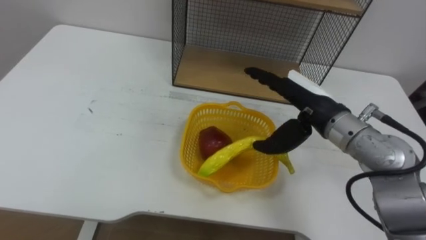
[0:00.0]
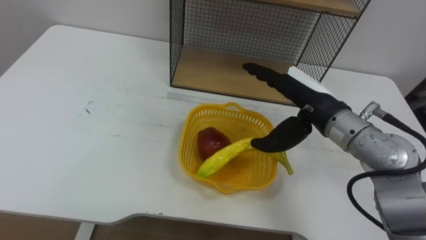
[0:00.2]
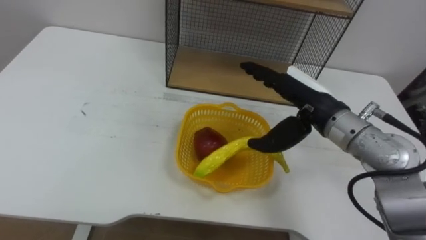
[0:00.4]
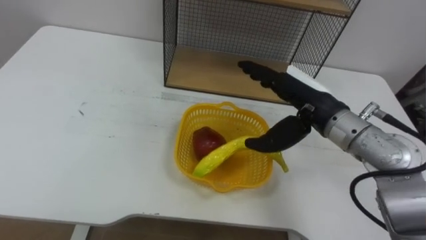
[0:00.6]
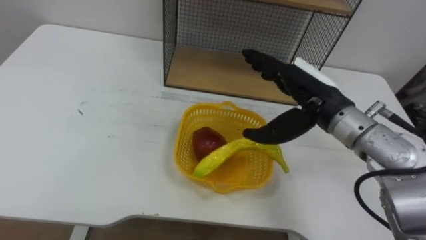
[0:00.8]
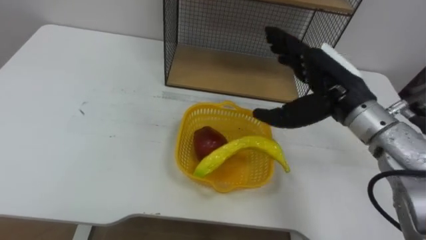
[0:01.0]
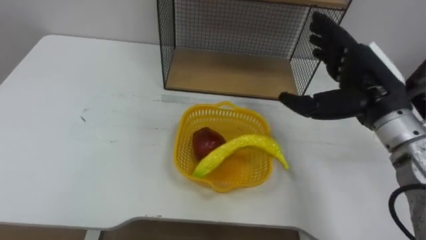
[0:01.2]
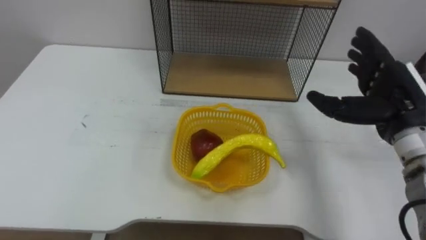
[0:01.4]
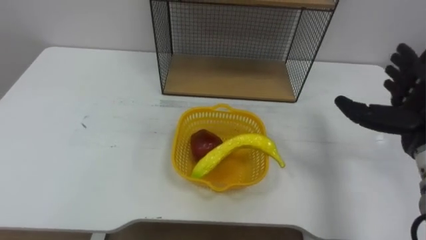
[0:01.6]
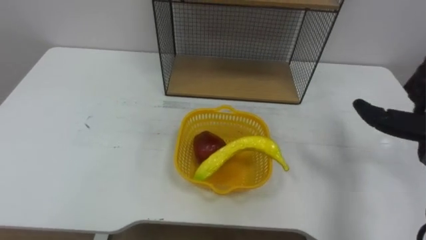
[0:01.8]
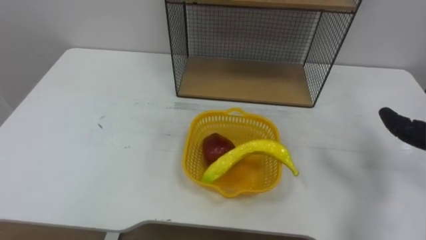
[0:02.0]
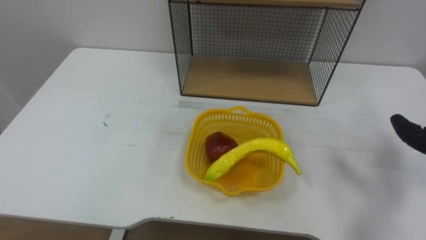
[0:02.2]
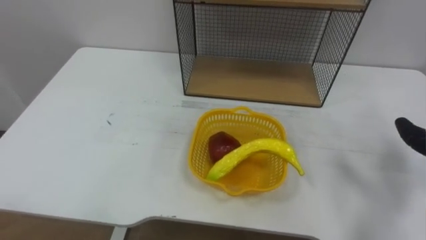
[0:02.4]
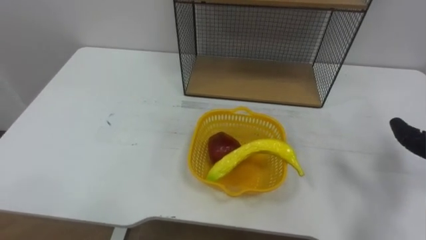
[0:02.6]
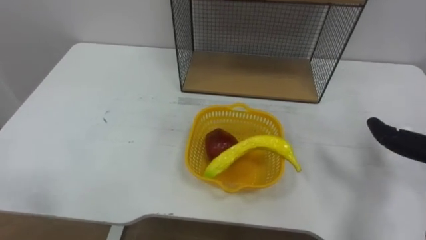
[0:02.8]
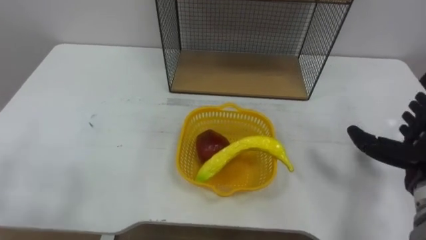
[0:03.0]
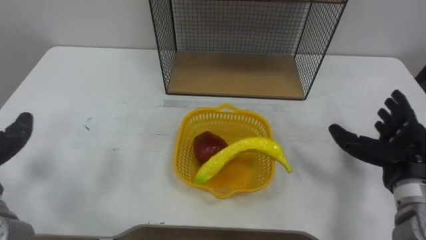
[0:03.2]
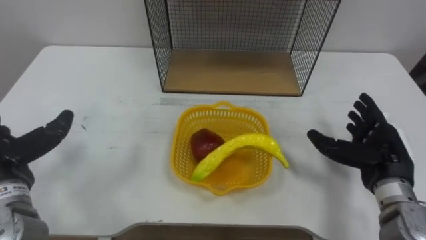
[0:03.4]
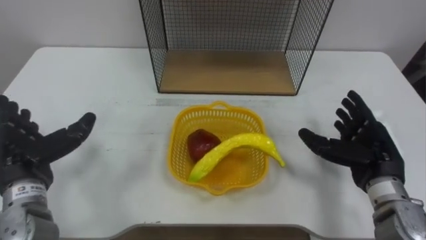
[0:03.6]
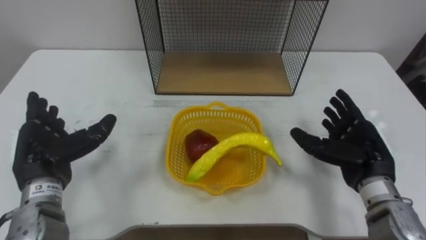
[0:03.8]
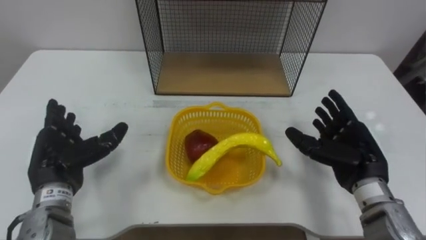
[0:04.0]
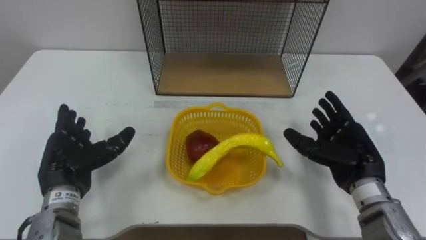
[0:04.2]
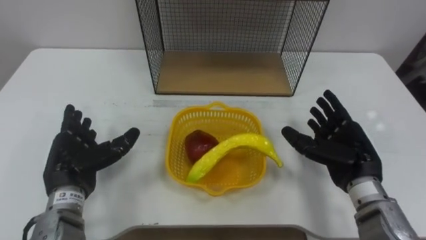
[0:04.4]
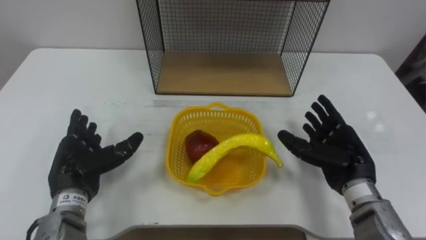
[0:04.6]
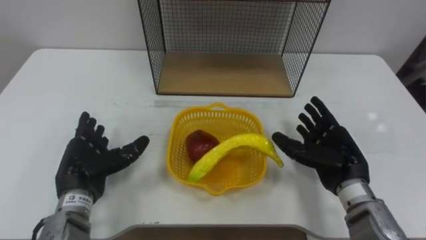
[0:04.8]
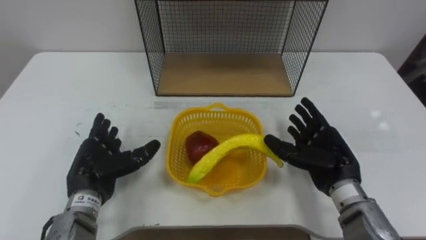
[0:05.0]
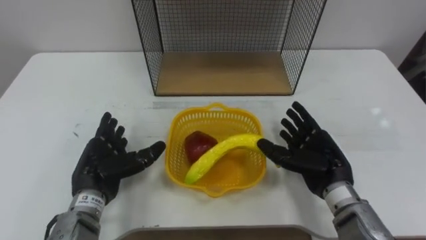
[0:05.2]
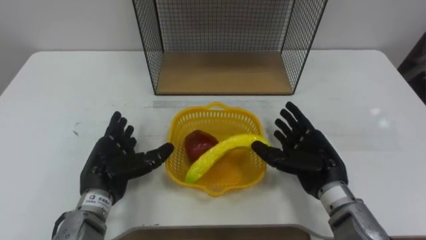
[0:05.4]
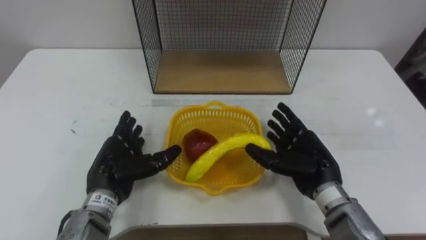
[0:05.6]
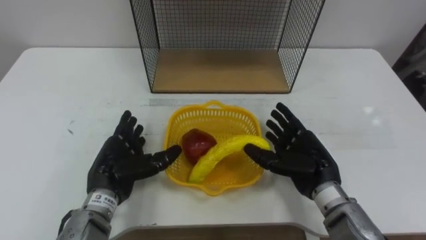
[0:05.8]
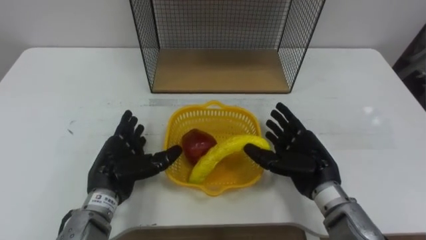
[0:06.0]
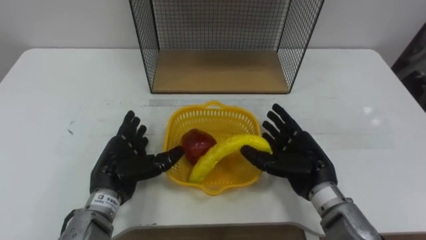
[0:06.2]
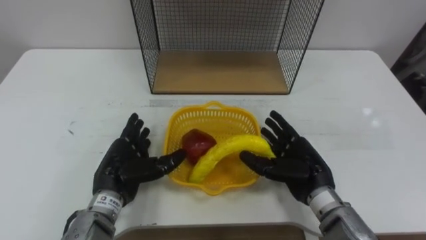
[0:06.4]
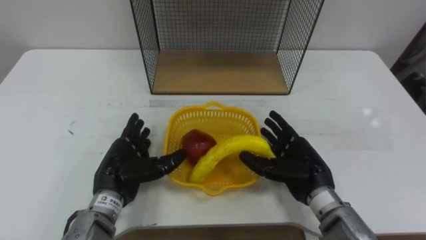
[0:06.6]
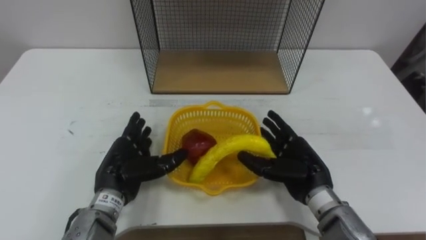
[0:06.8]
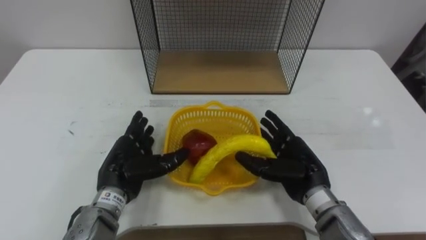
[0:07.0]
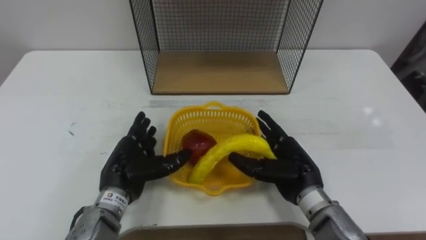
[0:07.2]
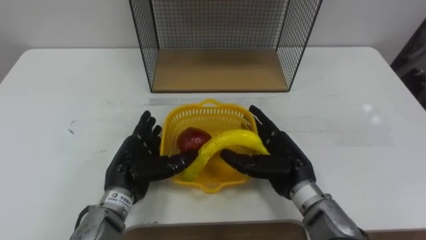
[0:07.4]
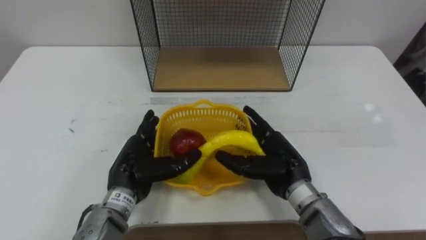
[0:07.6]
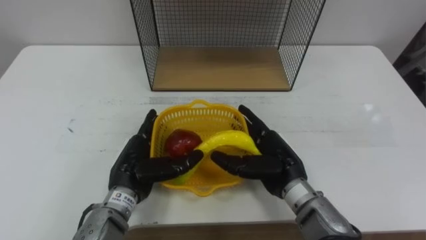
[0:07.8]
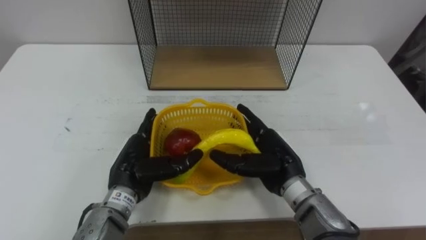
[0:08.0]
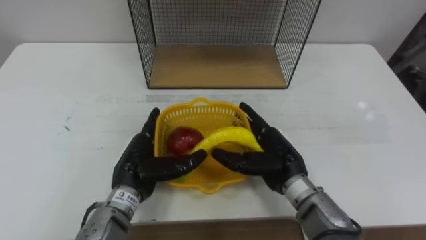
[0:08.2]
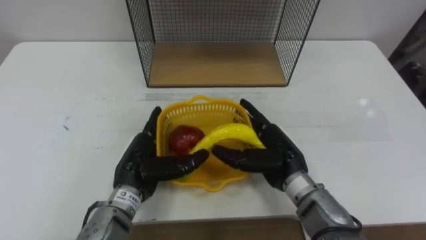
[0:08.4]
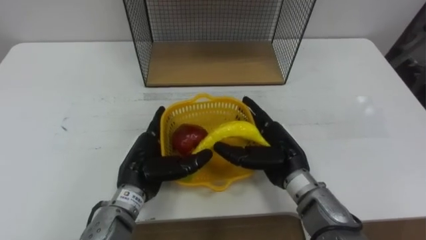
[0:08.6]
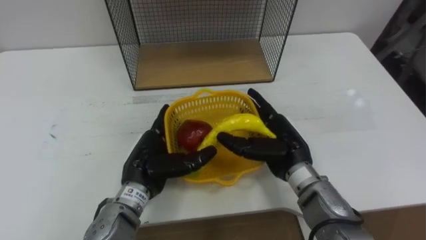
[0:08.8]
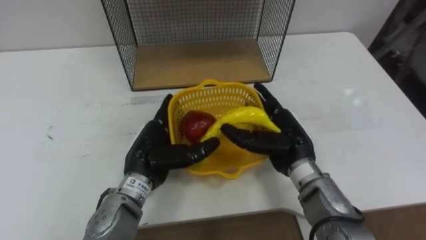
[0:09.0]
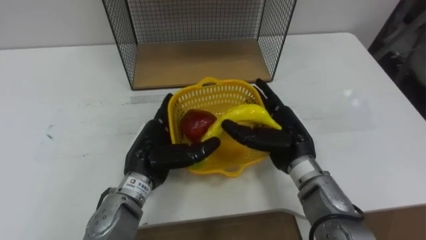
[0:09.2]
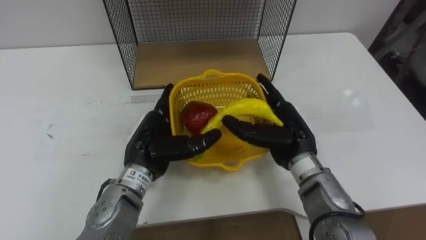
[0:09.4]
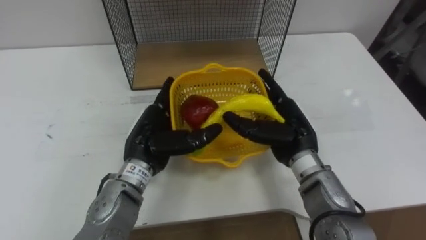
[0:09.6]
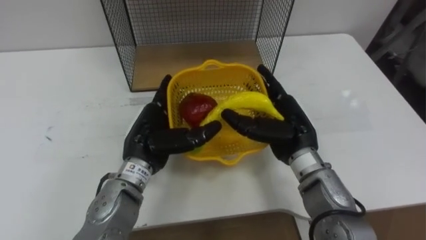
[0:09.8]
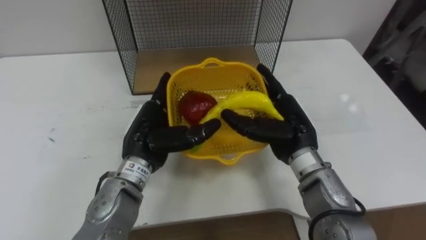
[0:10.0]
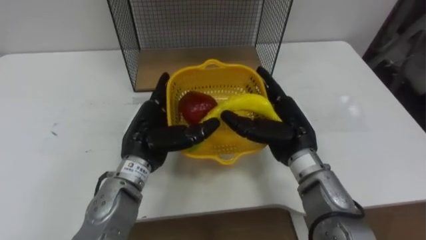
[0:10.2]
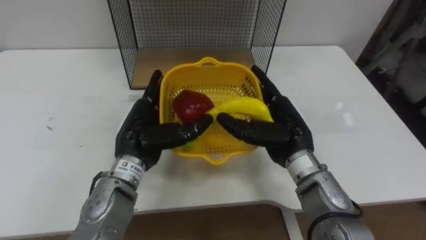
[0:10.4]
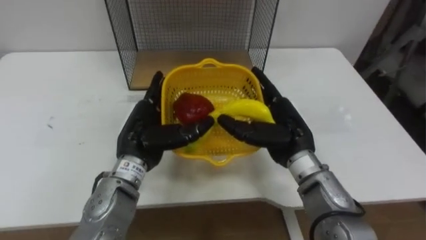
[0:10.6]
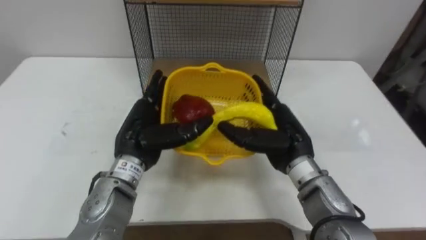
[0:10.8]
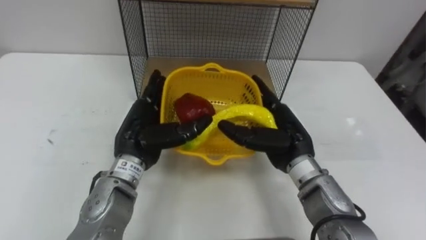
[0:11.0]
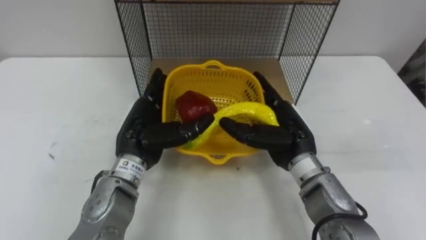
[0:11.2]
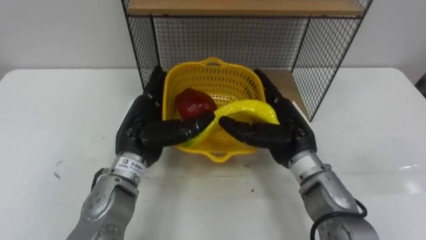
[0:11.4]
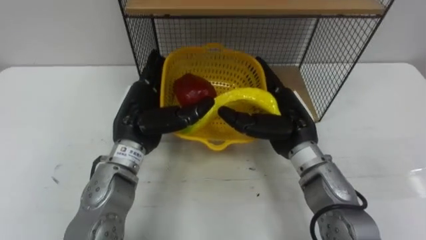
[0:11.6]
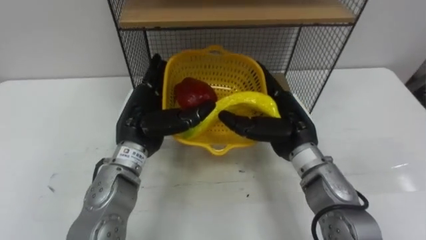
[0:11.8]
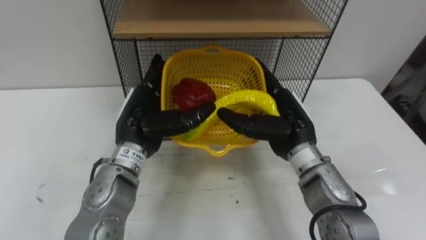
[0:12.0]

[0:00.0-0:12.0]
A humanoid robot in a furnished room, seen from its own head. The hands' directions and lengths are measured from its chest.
Task of the whole recording: Put the fruit on the table into the basket, then place the basket on the shelf.
0:00.0 to 0:01.6: The right hand is displaced to the right by some 15 cm.
0:04.4 to 0:06.0: The right hand is displaced to the left by about 5 cm. Meanwhile the left hand goes approximately 5 cm to the right.
0:06.0 to 0:07.6: The right hand goes approximately 5 cm to the left.

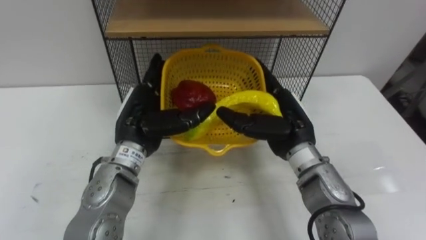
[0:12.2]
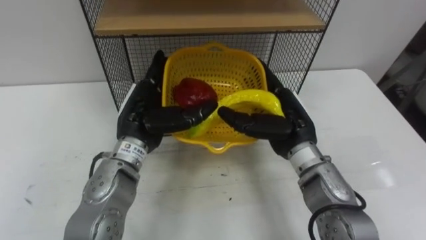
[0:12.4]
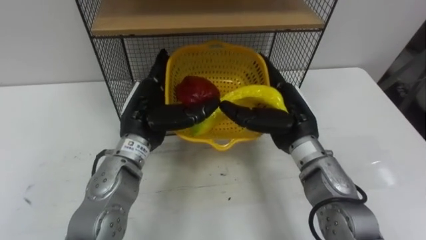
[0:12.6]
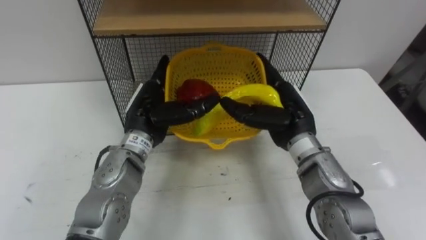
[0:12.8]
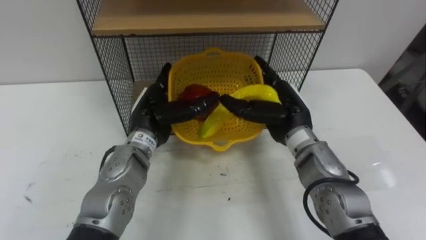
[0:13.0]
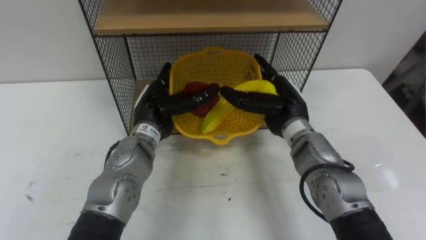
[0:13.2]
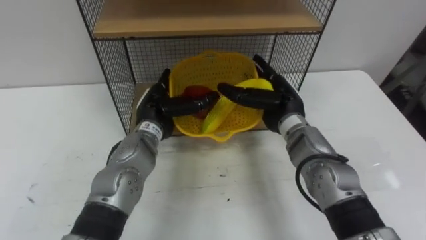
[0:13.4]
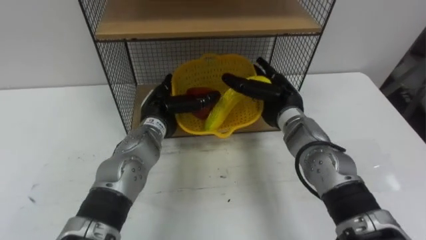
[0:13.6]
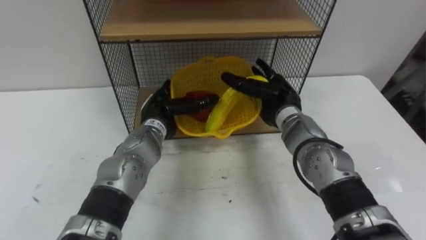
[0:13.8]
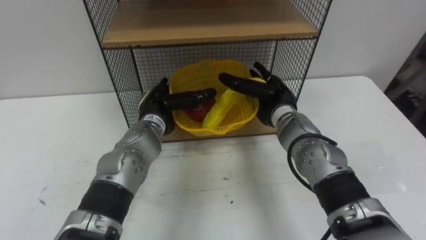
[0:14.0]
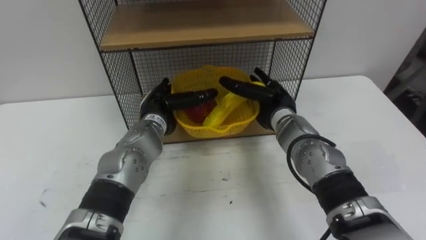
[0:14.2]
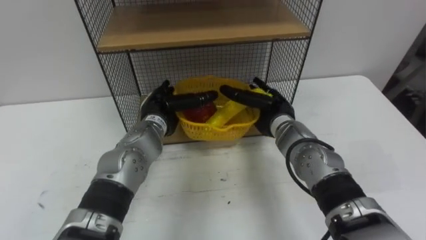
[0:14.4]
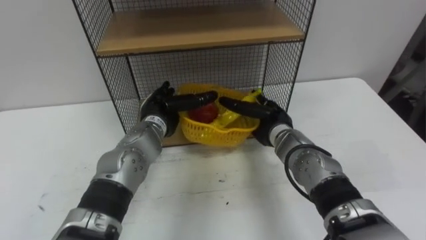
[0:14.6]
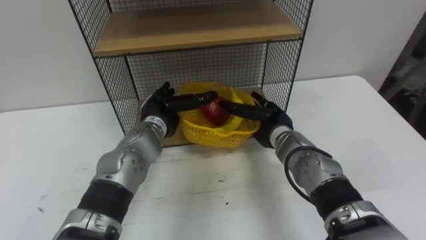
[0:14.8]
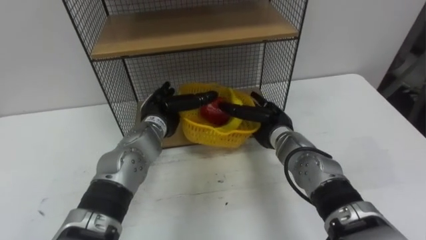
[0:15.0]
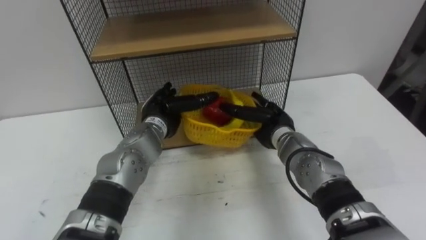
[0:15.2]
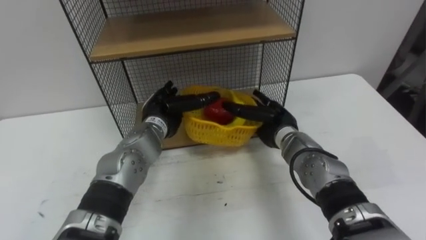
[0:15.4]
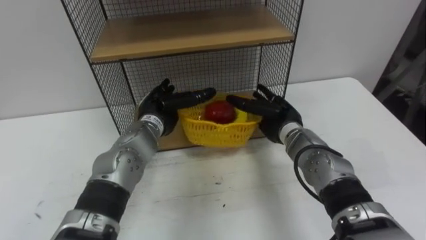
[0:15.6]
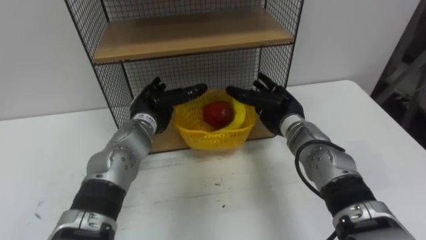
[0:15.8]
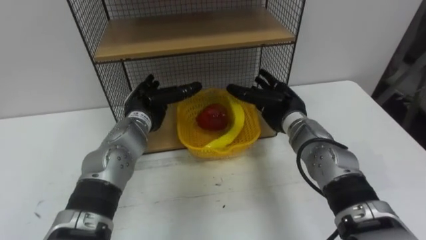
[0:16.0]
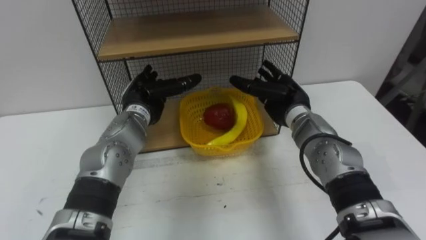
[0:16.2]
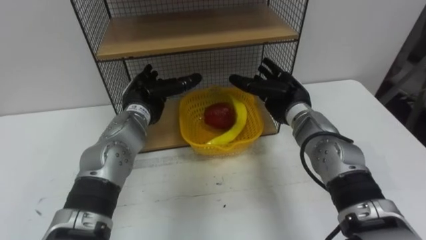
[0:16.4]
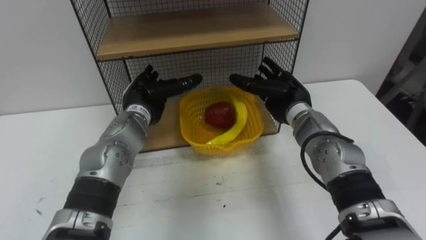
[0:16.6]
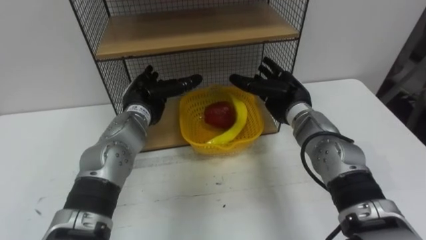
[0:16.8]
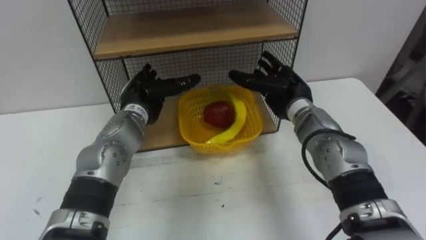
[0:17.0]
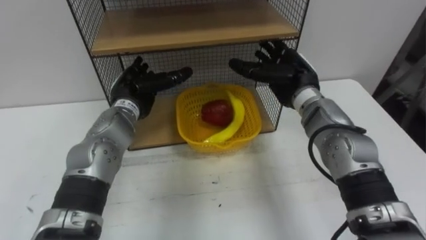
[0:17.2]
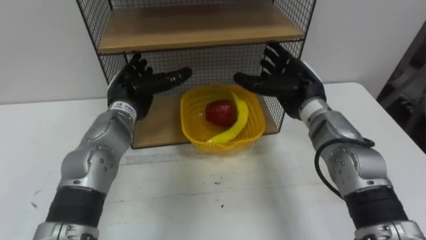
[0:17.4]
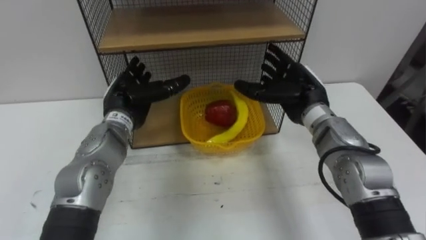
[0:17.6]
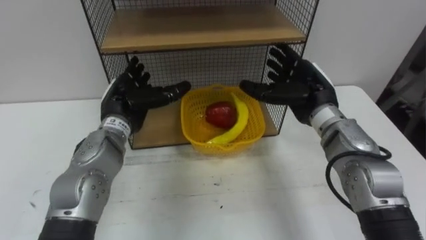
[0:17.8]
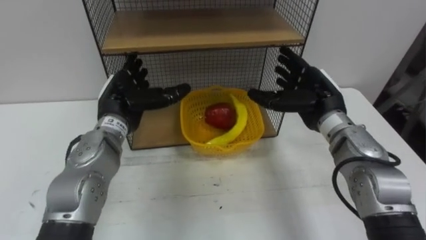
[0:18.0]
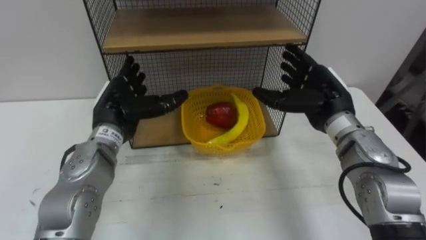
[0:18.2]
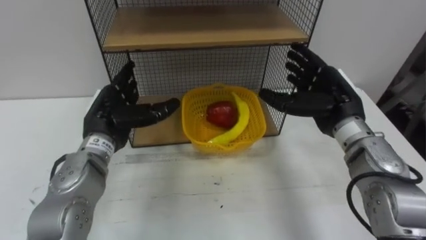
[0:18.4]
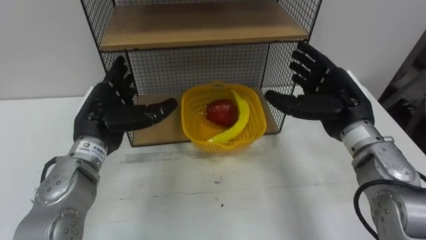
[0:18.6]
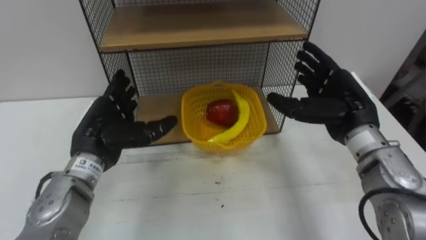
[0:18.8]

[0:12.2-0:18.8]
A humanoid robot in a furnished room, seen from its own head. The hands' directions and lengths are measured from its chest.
Task of the whole recording: Put the fruit on the table into the basket, then place the basket on the shelf.
0:12.2 to 0:13.8: The right hand shifts about 10 cm forward, while the left hand shifts about 10 cm forward and downward.
0:13.8 to 0:15.4: The right hand heads downward, covering approximately 5 cm.
0:15.4 to 0:17.2: The right hand shifts roughly 10 cm upward. The left hand is displaced to the left by about 5 cm.
0:17.2 to 0:18.8: The left hand goes some 10 cm backward, while the right hand moves backward and to the right, roughly 10 cm.
